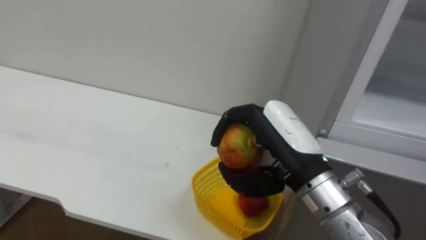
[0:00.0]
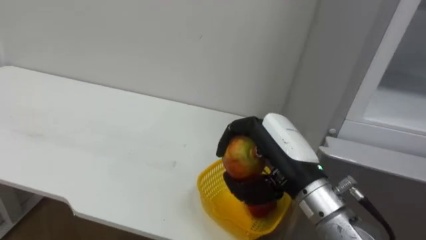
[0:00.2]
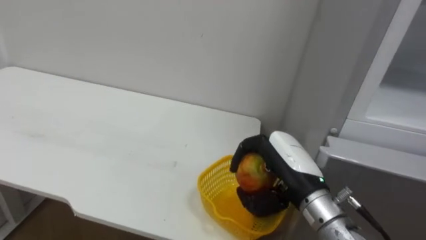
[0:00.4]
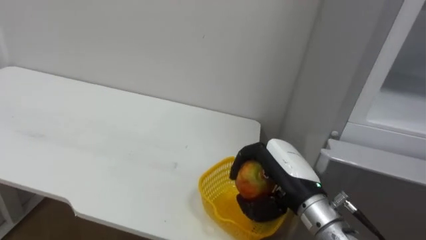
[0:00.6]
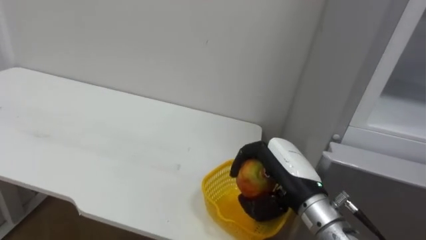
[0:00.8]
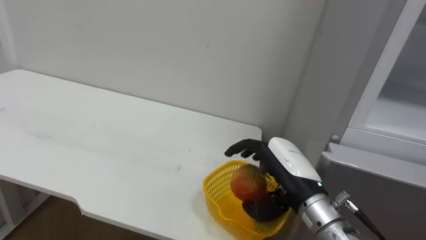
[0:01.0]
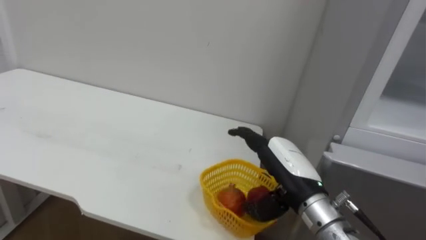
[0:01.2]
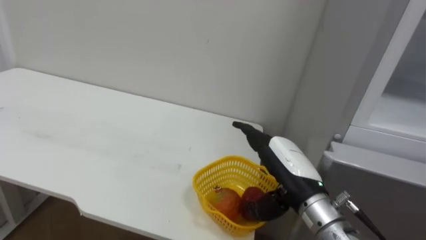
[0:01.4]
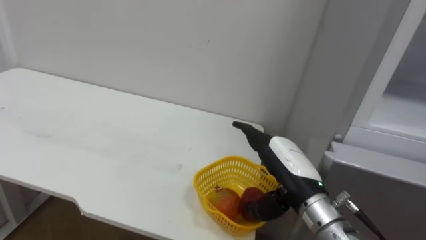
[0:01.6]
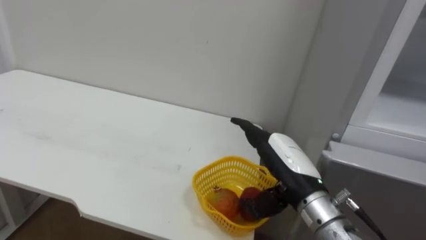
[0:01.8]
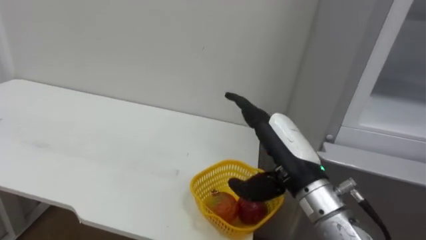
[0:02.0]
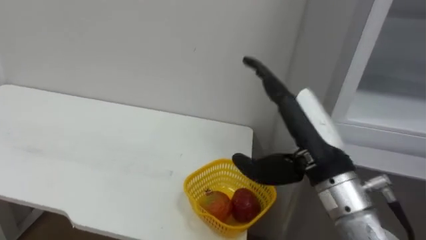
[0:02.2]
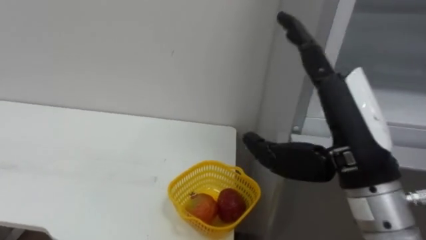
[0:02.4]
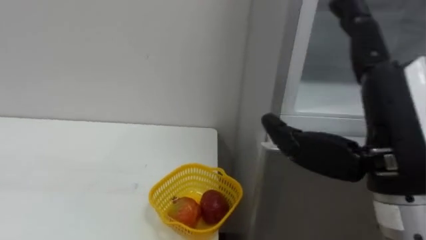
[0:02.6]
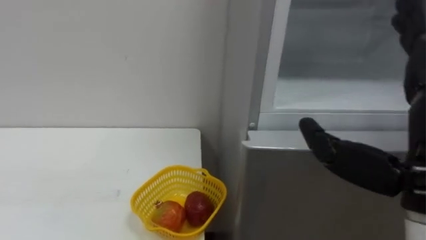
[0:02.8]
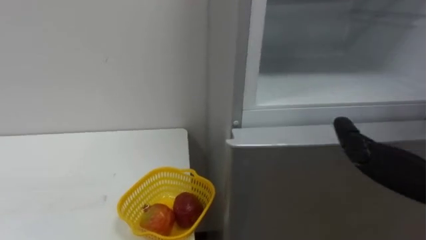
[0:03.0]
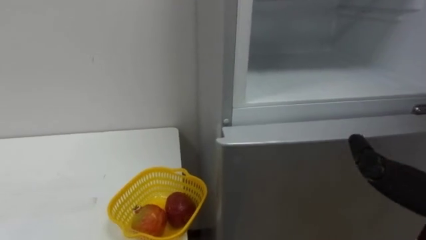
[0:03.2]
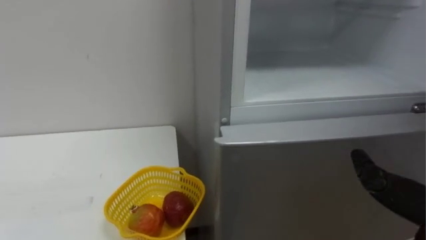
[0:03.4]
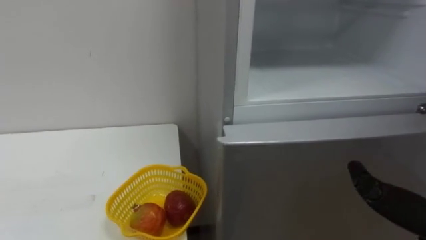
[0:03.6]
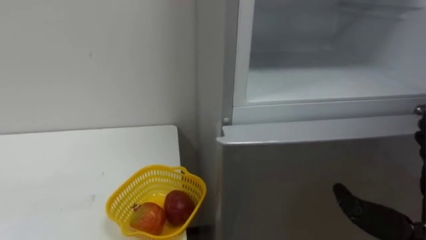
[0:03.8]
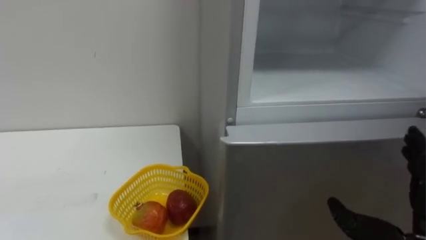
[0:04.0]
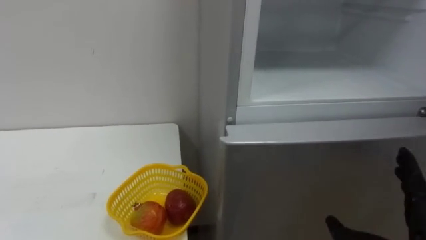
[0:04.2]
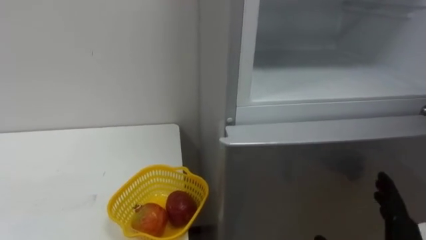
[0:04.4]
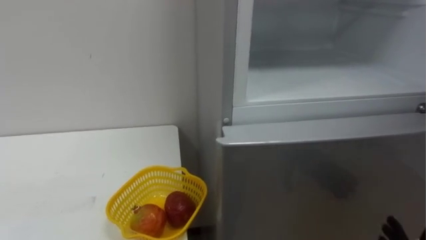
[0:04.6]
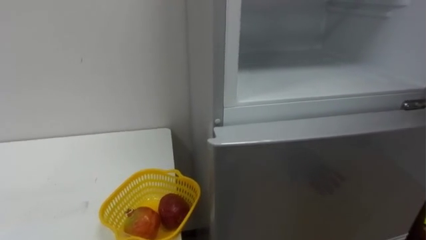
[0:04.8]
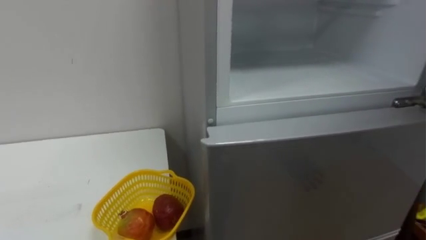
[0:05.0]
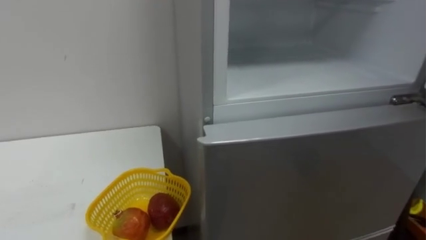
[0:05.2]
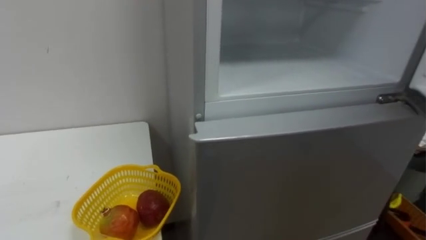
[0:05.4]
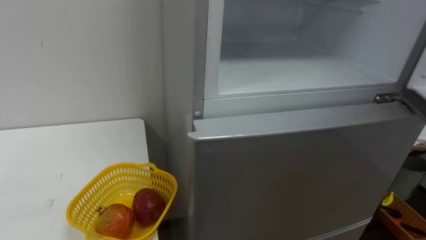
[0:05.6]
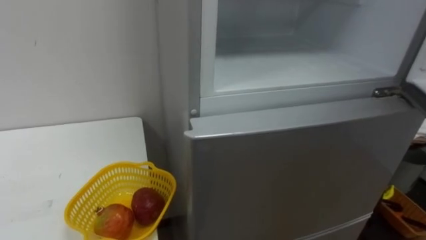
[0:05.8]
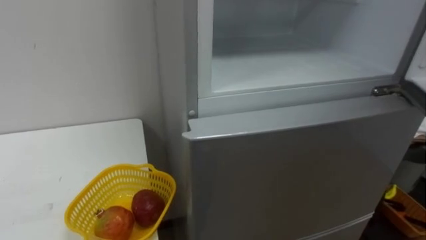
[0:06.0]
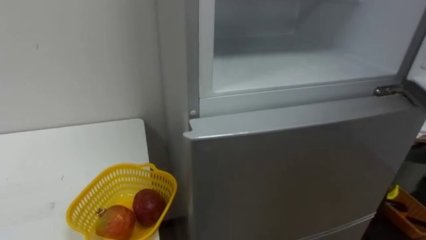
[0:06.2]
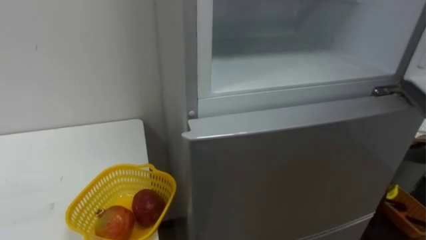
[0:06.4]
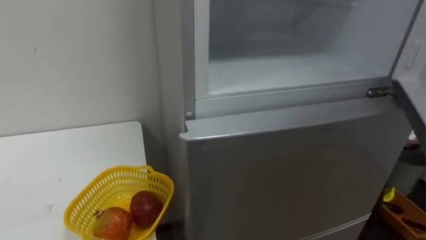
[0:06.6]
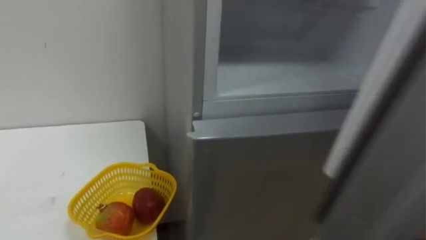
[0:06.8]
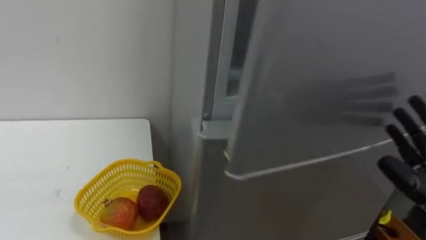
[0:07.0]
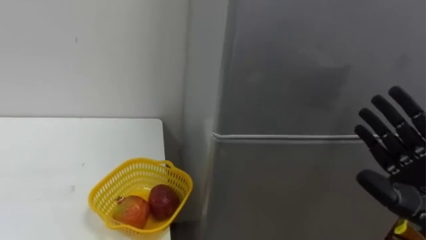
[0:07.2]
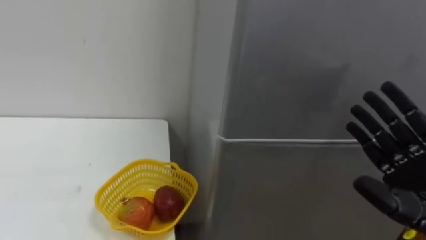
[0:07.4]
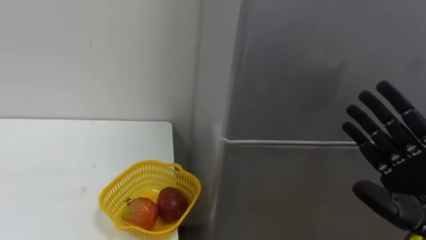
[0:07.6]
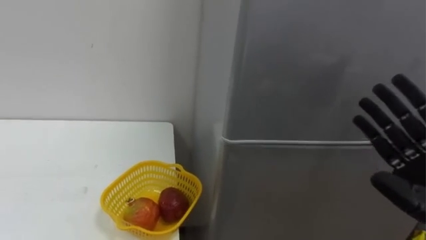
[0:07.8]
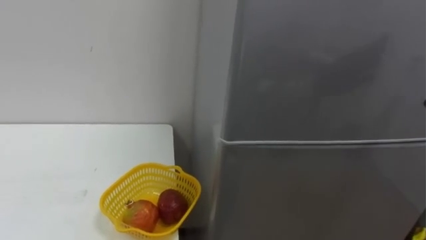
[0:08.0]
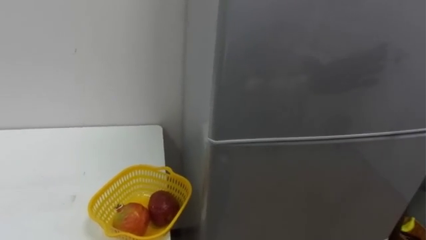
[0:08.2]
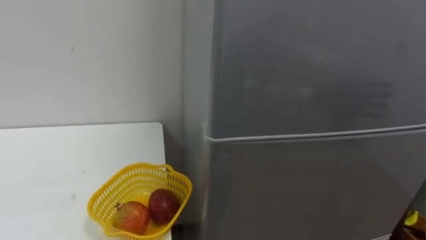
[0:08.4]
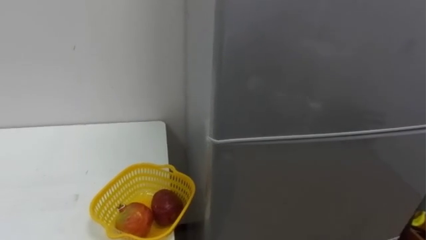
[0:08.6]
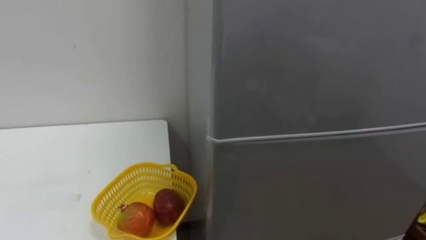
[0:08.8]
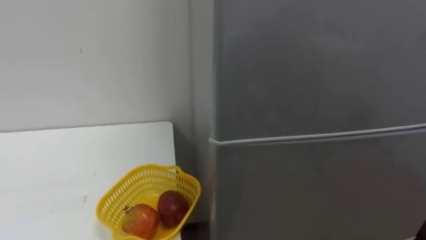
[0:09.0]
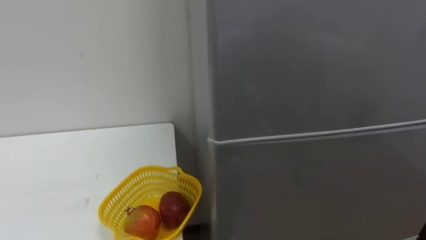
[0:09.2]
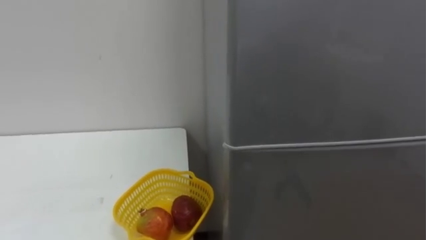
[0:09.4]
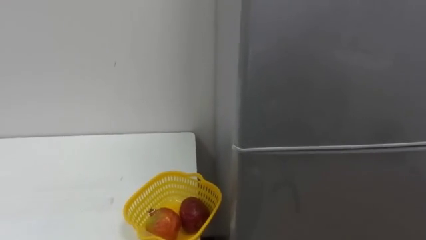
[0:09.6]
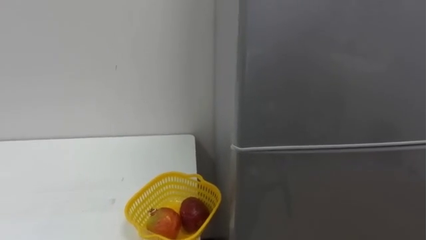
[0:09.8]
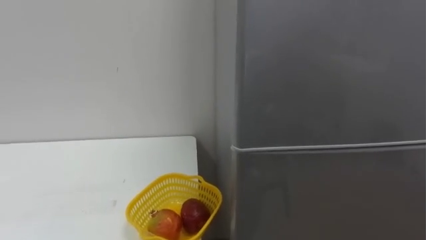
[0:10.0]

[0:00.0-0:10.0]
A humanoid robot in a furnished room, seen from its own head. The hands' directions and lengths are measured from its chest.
Task of the whole recording: Open the refrigerator door, take out the apple and the pomegranate, place them in the fruit basket on the left, and close the refrigerator door.
0:00.0 to 0:01.4: The right hand moves downward, roughly 10 cm, and opens.
0:01.4 to 0:02.8: The right hand heads upward, backward and to the right, covering roughly 20 cm.

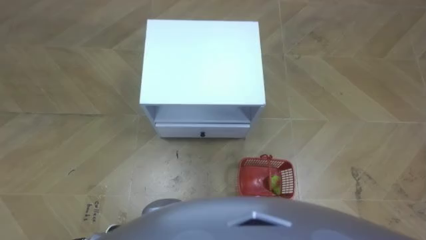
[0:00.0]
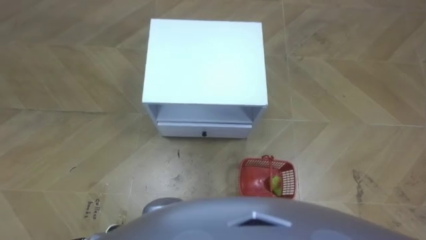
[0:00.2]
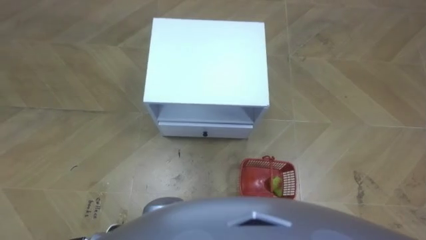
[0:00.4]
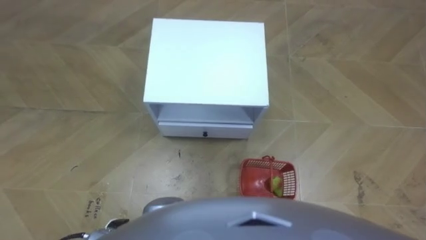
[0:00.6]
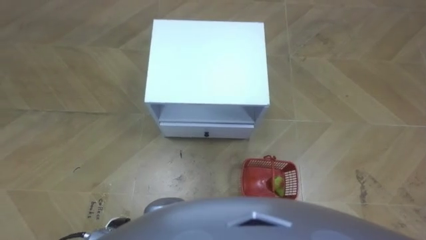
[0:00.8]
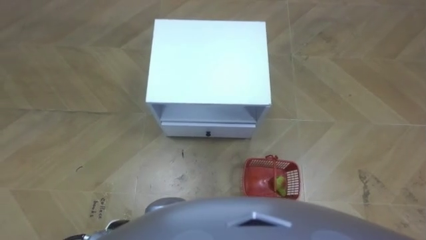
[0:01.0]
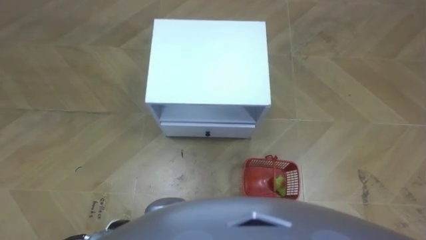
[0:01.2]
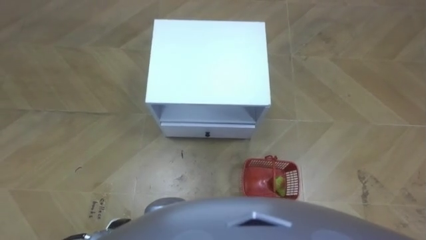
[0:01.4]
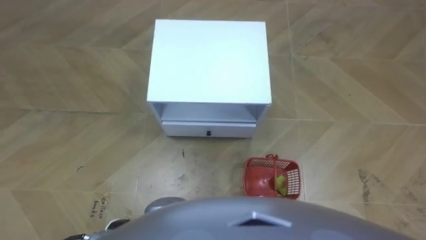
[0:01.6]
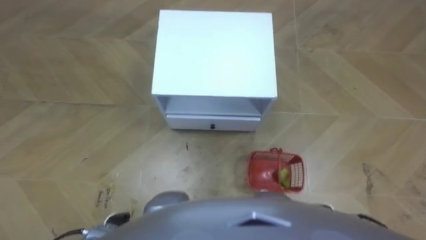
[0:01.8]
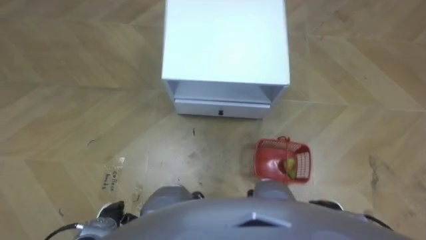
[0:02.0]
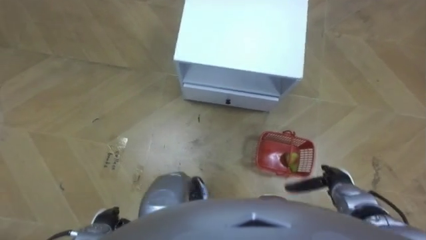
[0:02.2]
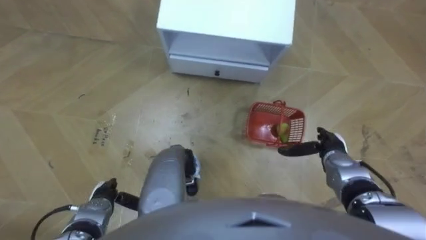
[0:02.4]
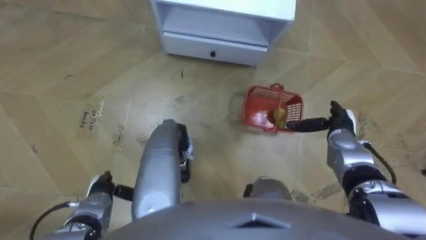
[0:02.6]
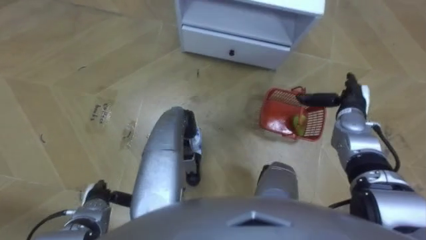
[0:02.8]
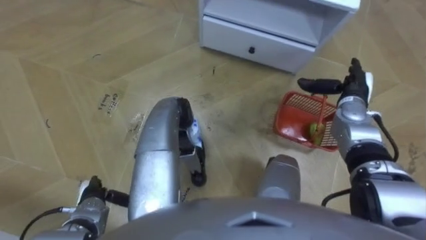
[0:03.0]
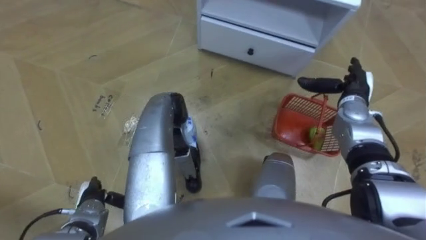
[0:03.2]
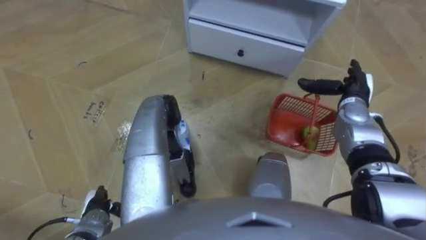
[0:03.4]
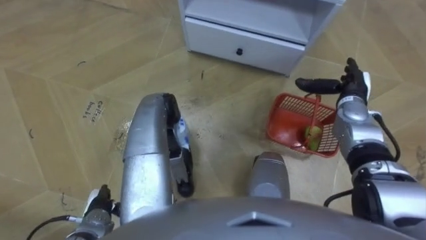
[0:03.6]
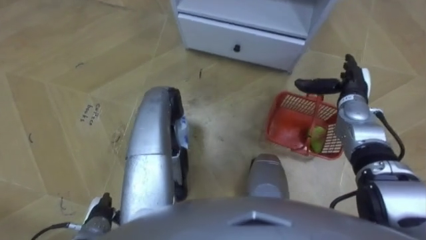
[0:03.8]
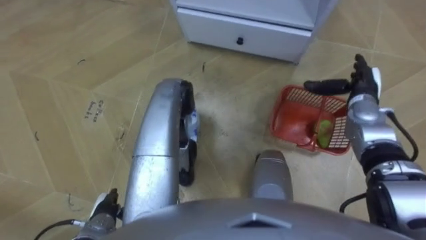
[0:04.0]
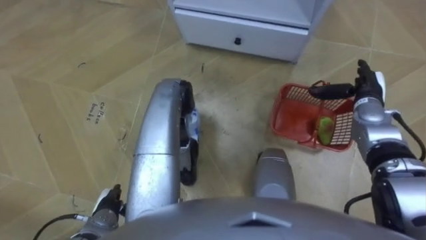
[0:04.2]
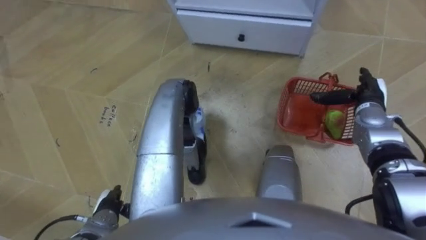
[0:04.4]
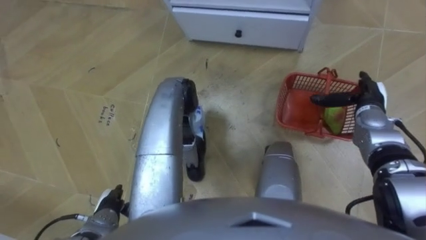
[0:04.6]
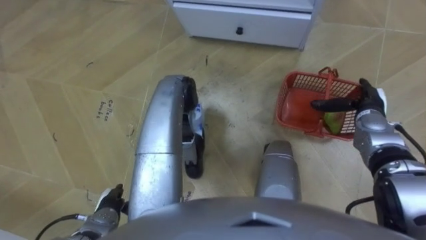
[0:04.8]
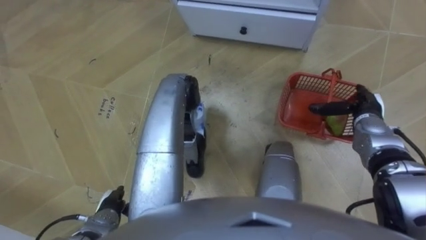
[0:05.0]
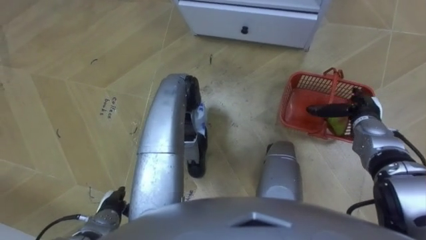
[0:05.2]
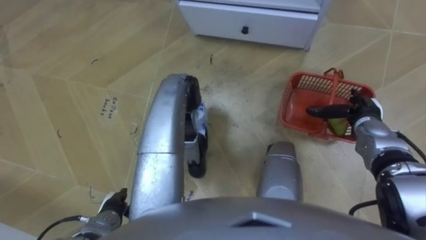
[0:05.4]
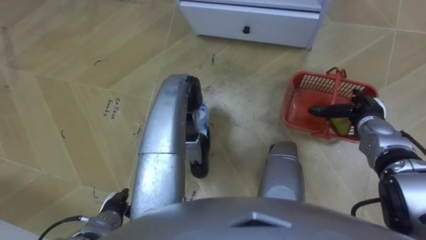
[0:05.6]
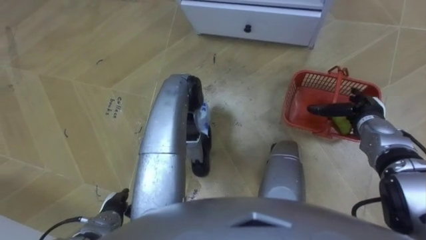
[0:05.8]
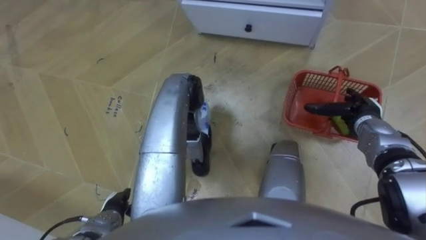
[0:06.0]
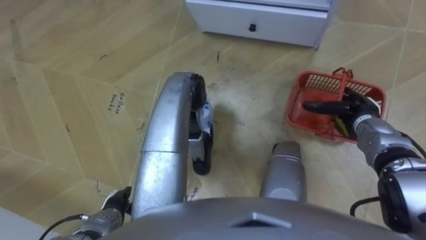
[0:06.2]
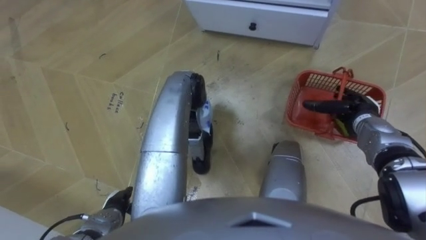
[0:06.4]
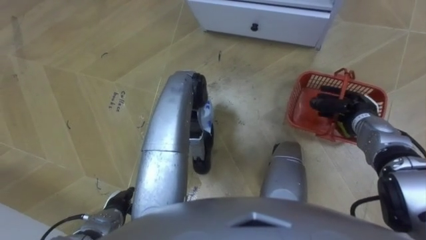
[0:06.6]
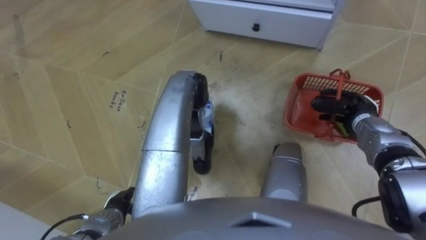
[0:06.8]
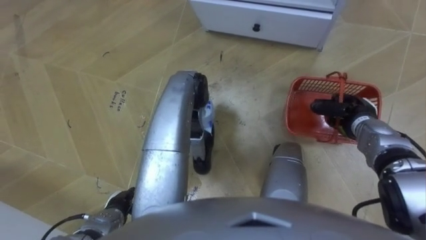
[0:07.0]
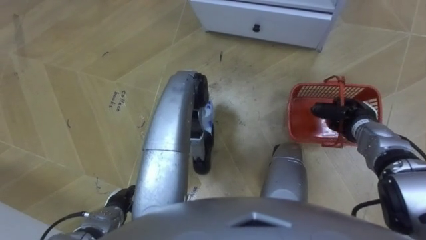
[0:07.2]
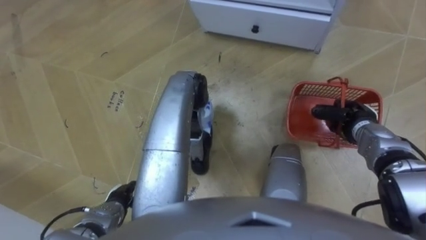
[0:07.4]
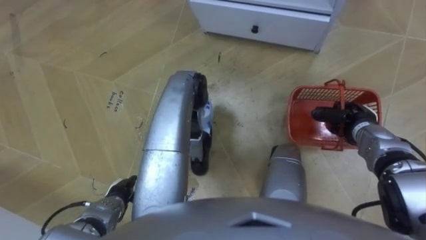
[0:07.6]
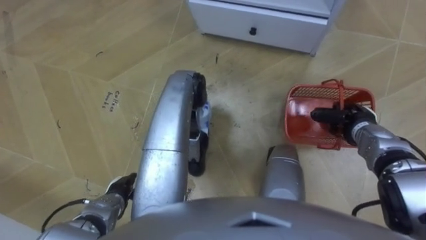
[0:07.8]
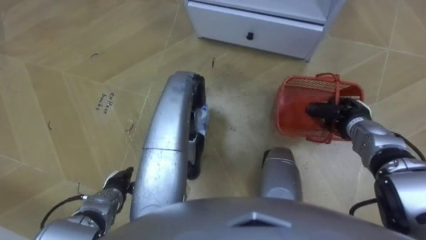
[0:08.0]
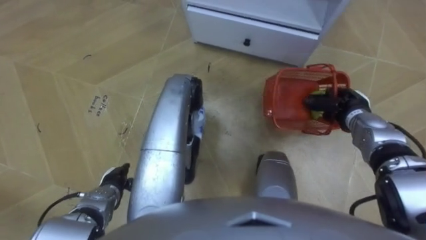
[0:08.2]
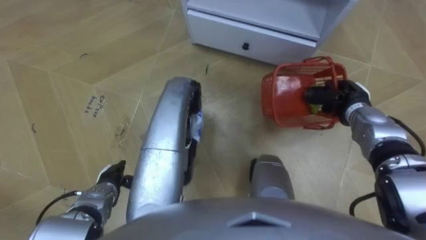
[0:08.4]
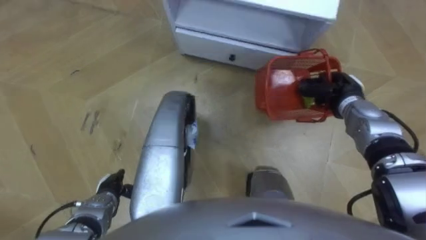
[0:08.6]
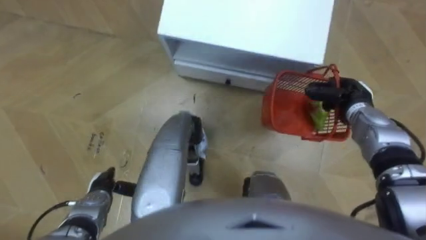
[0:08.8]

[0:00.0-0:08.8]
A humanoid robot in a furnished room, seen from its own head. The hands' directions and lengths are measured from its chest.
Task of the whole recording: Pick up the fruit basket from the floor and place it on the cabinet.
0:01.4 to 0:03.0: The robot's body swings approximately 15 degrees to its left. The right hand shifts roughly 30 cm forward and upward. The left hand is displaced forward and to the left by some 10 cm.
0:05.8 to 0:07.4: The right hand closes up.
0:07.4 to 0:08.8: The right hand ends up some 5 cm from where it was.
